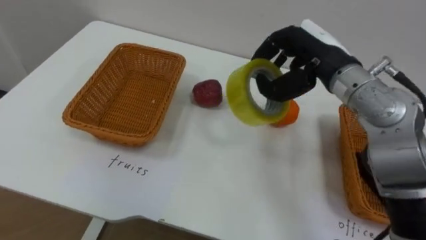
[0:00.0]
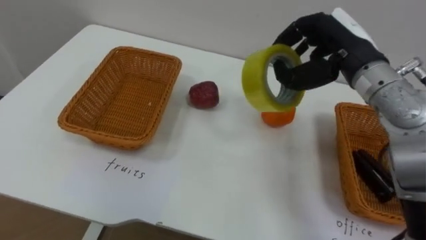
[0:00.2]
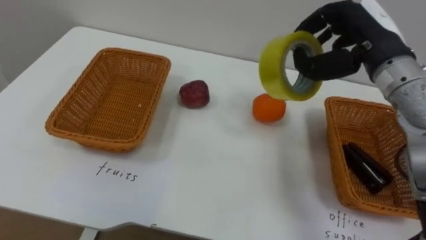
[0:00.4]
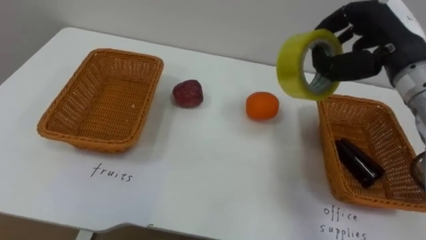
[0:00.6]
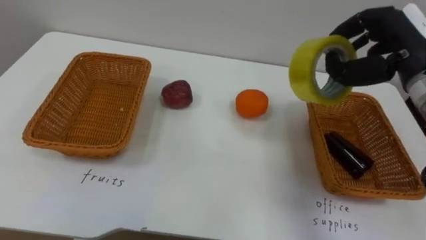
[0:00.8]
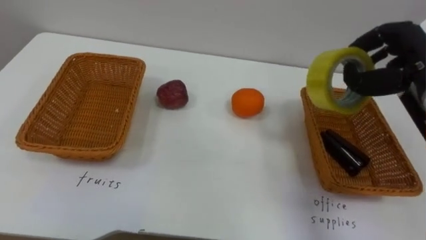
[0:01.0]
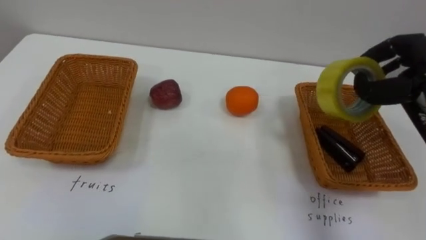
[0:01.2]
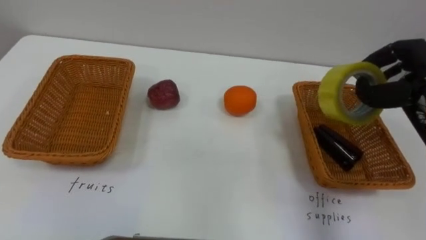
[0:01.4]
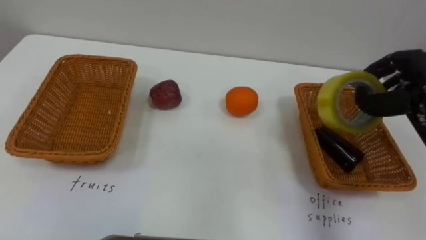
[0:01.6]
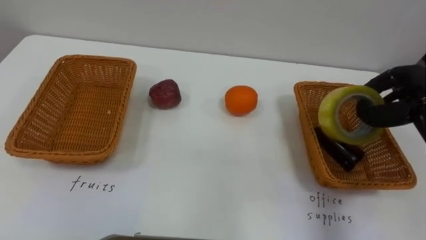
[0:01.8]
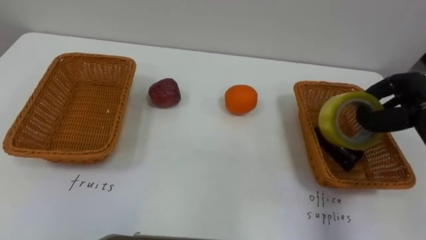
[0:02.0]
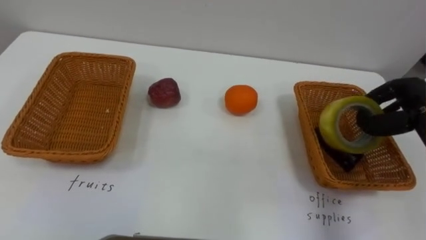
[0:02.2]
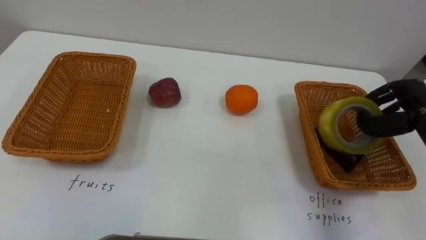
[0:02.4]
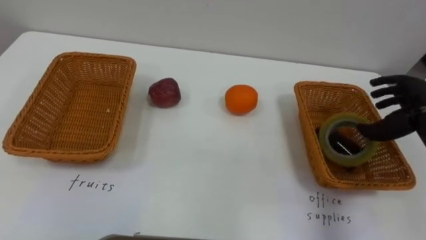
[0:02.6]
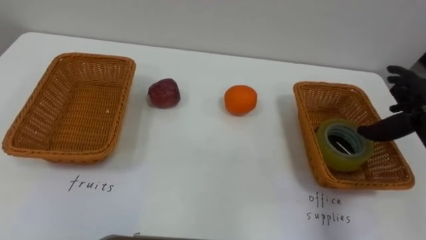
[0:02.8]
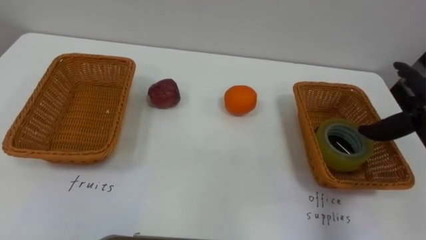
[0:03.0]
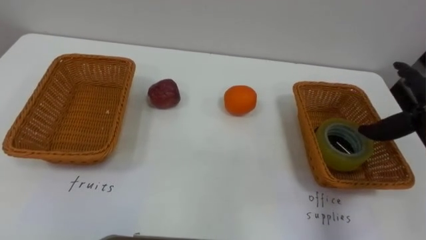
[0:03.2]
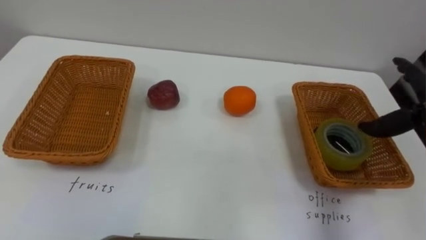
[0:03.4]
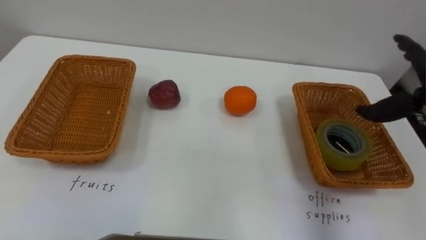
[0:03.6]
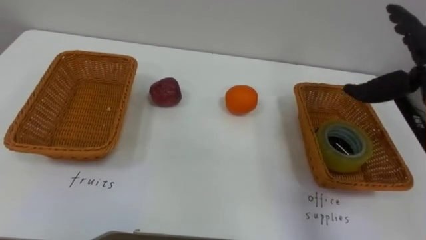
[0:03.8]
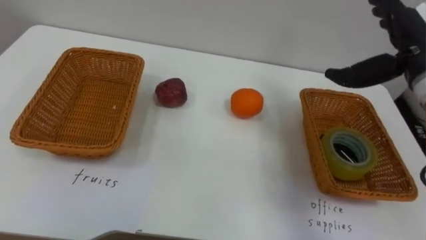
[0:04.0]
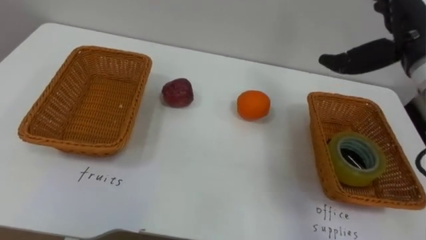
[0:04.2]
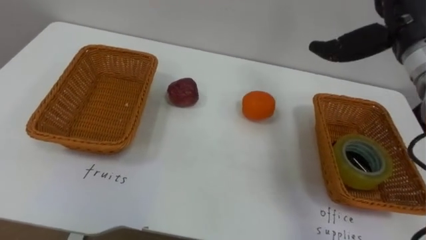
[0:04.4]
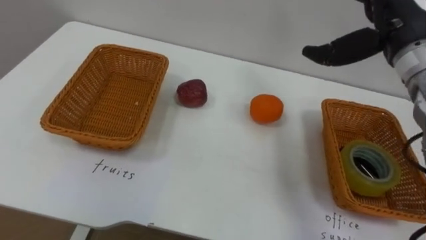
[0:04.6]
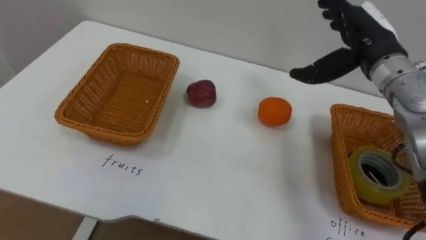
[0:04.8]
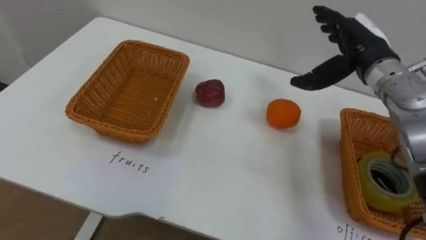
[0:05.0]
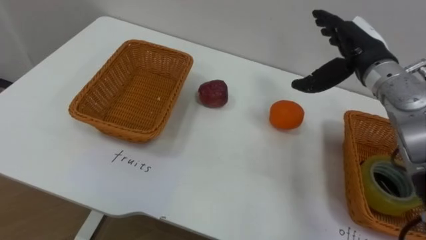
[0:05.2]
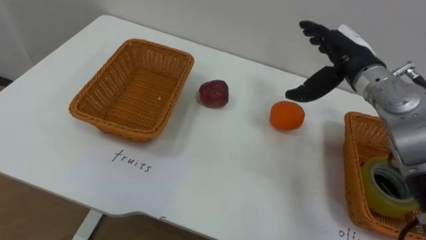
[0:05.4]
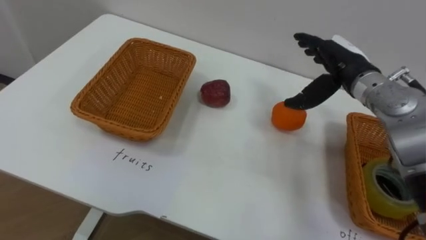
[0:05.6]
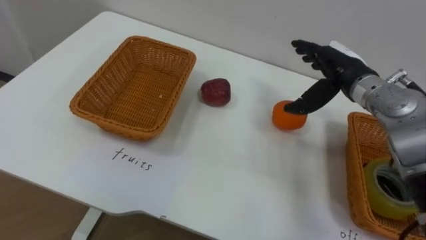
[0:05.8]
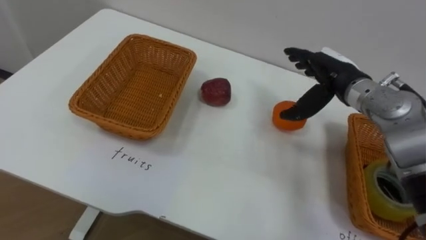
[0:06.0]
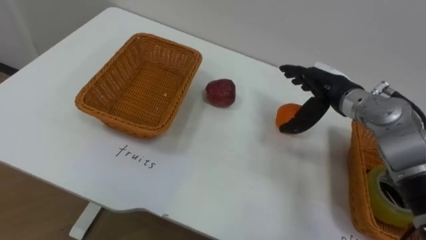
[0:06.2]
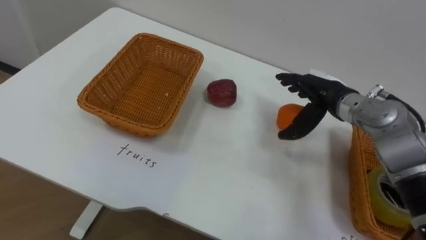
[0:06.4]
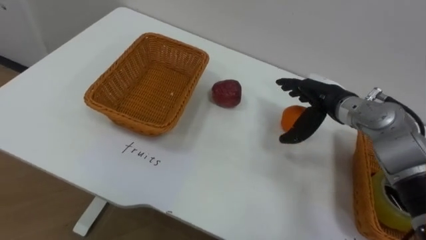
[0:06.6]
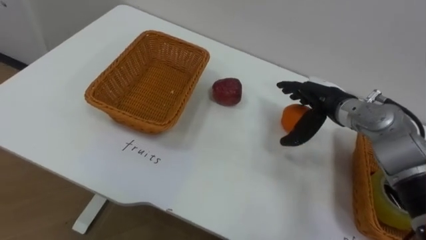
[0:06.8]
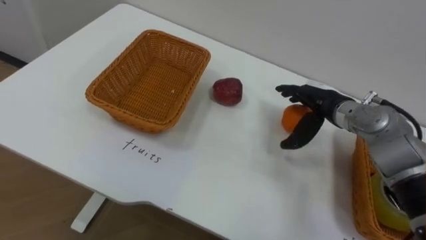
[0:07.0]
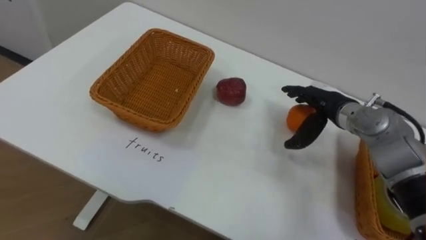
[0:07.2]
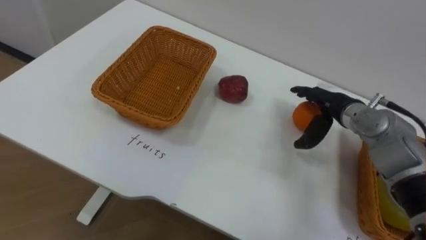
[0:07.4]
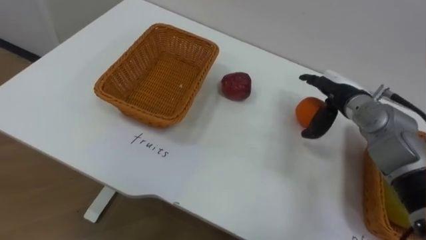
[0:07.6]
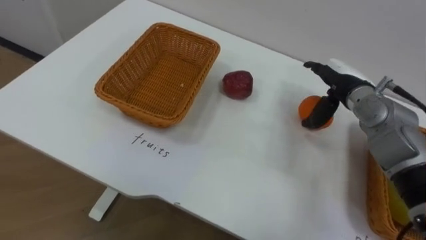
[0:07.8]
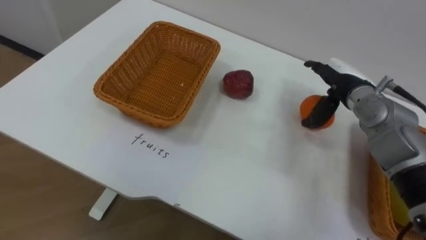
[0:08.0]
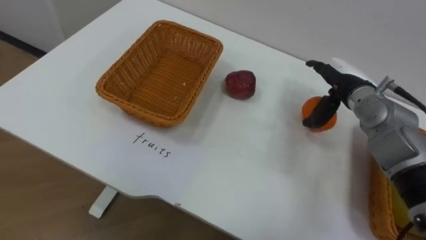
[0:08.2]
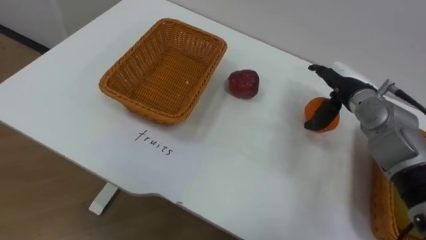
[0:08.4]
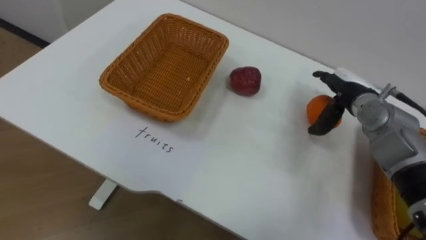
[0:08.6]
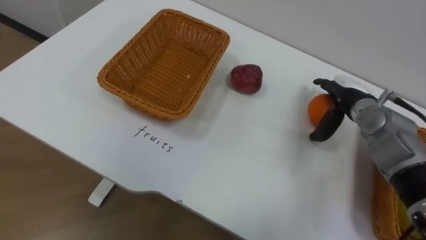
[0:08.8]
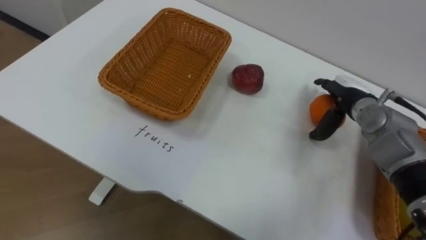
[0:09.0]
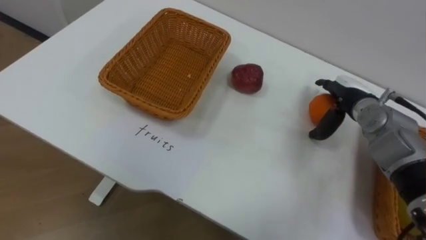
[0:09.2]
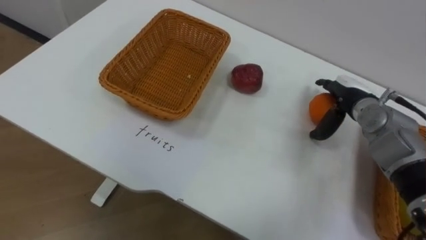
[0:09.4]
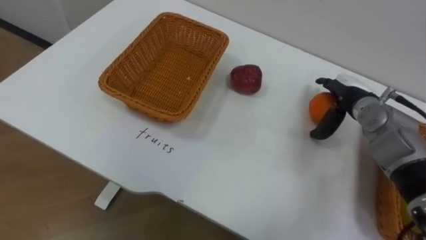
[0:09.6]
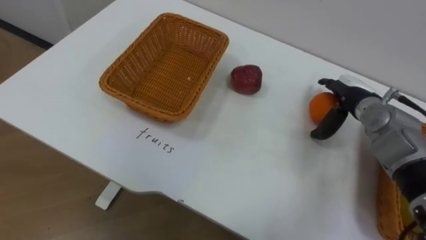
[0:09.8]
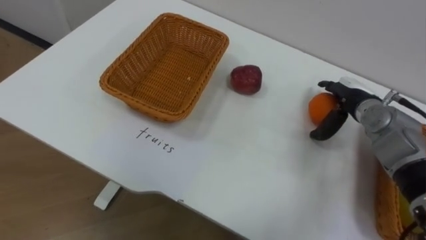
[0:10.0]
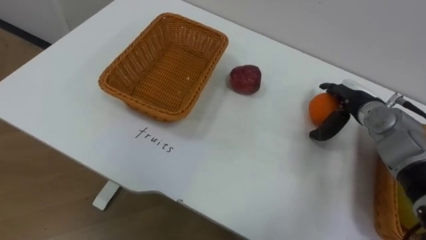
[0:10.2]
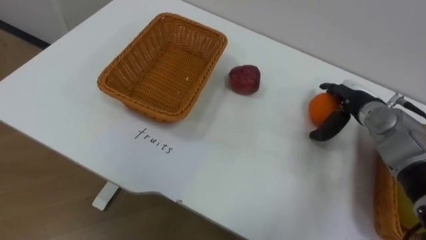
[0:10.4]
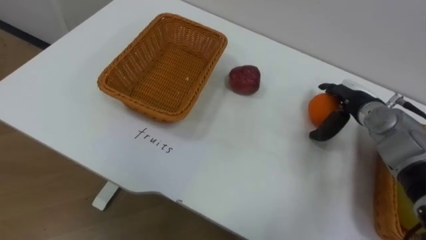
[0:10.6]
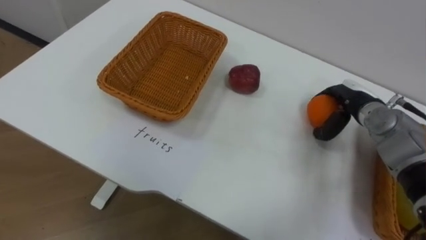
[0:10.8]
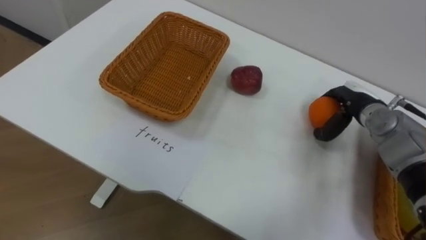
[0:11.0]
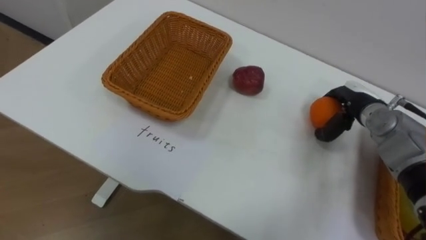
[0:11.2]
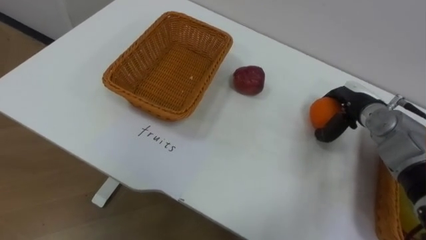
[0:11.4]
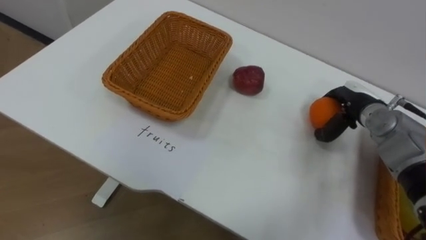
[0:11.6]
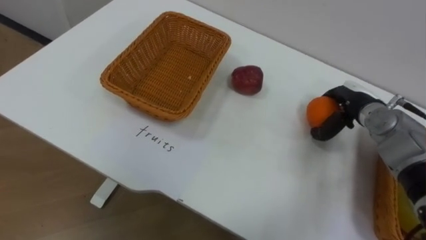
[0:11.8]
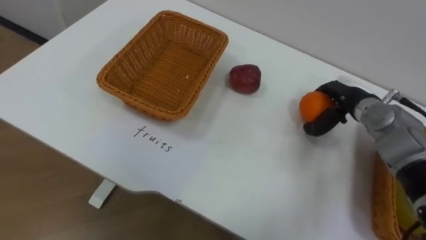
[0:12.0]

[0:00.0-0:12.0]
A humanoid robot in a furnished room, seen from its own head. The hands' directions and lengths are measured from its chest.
Task of the whole recording: Separate the items on the table and place them into the two baskets.
0:04.4 to 0:06.0: The right hand heads downward, covering some 10 cm.
0:06.0 to 0:07.6: The right hand heads downward, covering approximately 5 cm.
0:10.4 to 0:12.0: The right hand closes up.

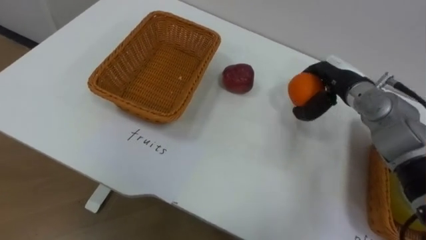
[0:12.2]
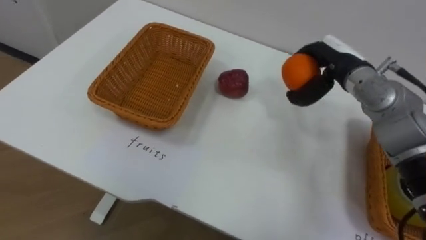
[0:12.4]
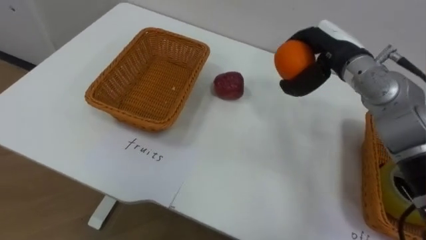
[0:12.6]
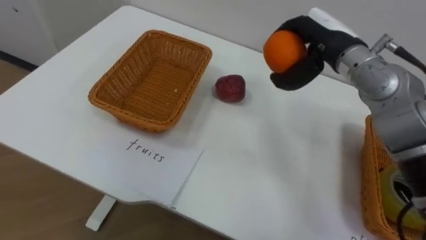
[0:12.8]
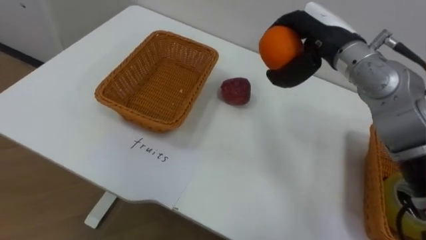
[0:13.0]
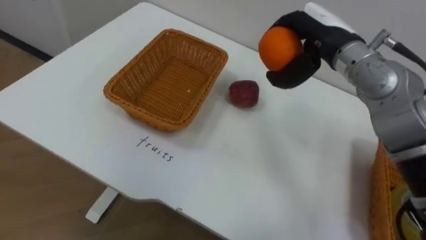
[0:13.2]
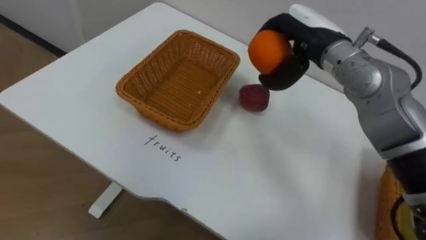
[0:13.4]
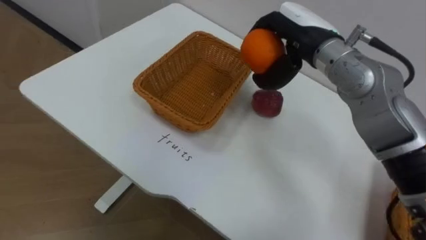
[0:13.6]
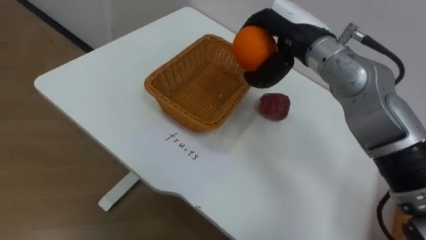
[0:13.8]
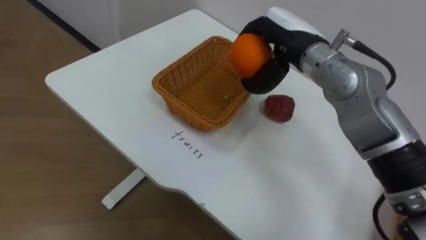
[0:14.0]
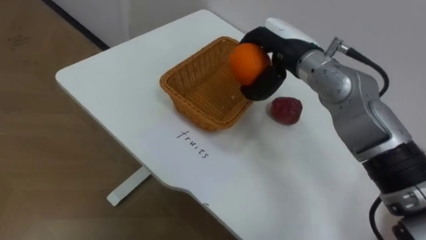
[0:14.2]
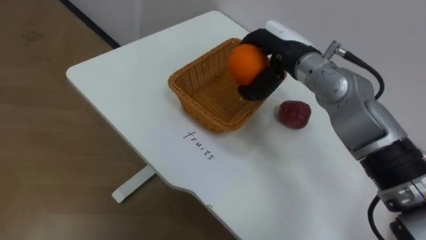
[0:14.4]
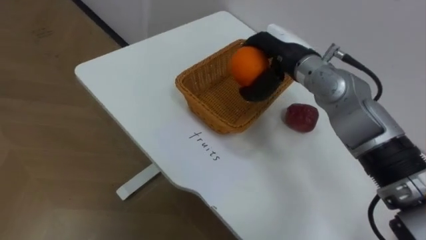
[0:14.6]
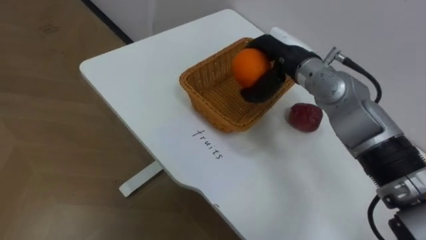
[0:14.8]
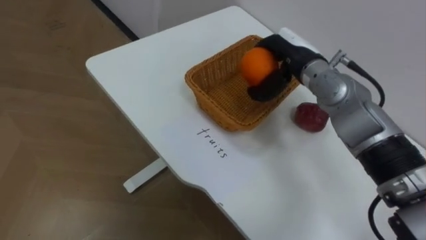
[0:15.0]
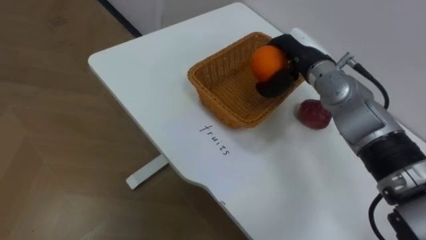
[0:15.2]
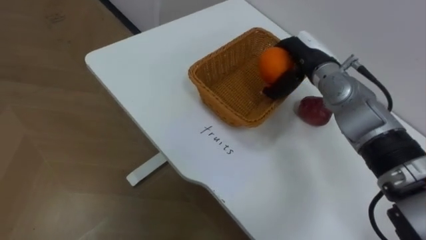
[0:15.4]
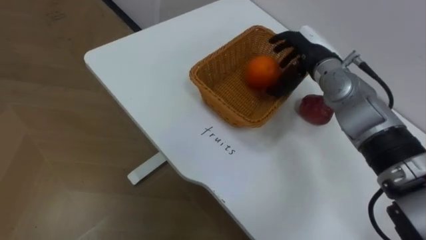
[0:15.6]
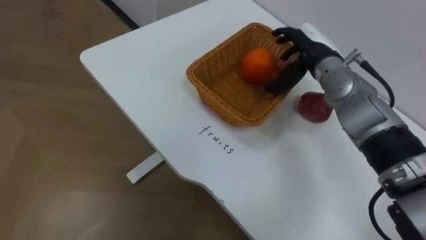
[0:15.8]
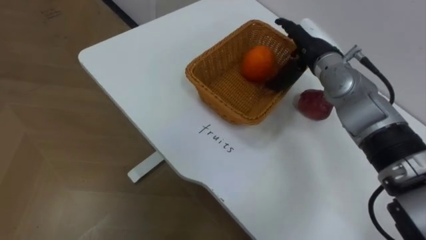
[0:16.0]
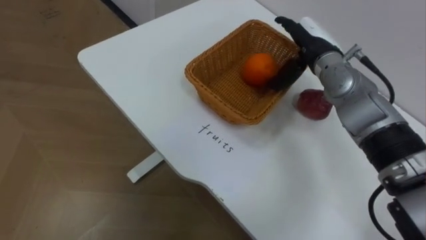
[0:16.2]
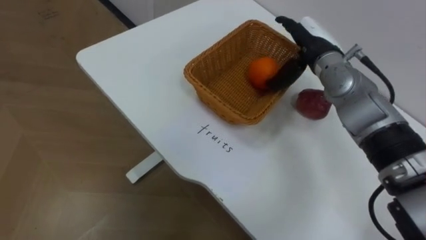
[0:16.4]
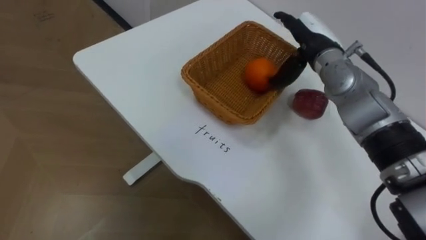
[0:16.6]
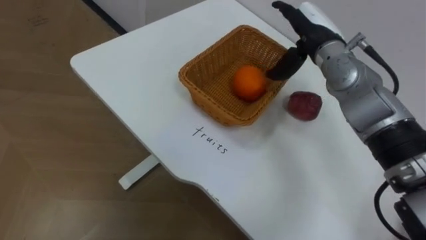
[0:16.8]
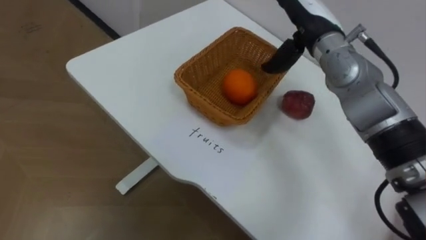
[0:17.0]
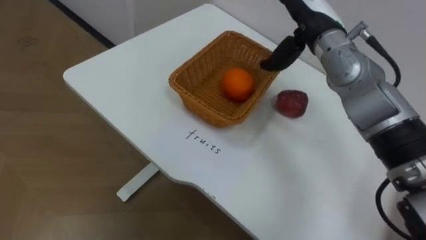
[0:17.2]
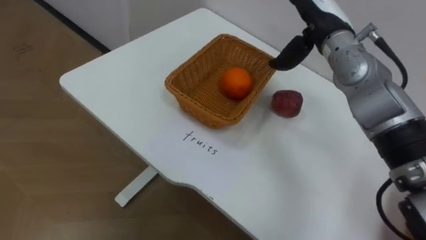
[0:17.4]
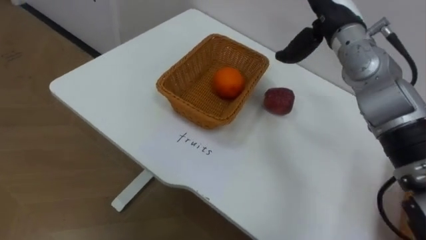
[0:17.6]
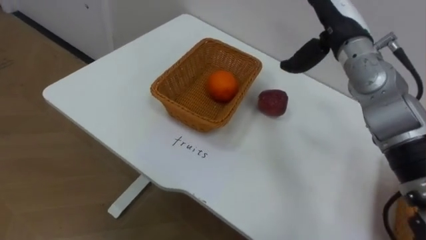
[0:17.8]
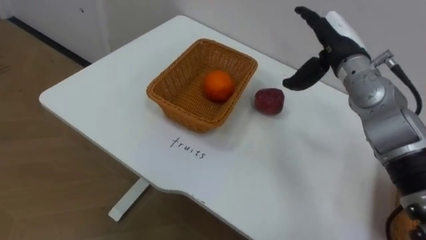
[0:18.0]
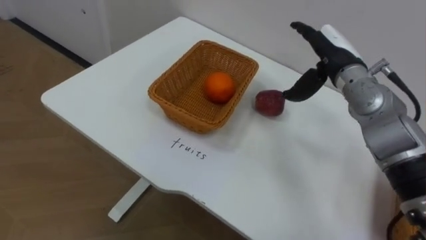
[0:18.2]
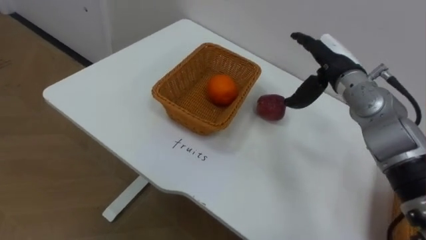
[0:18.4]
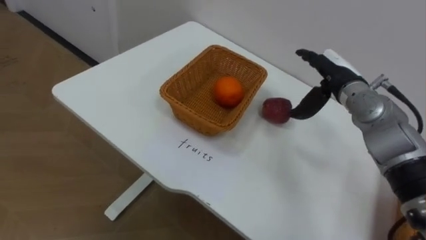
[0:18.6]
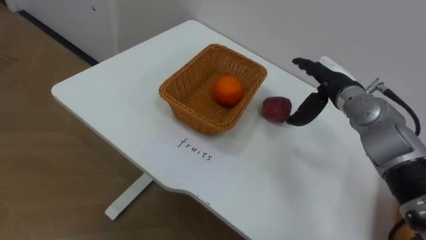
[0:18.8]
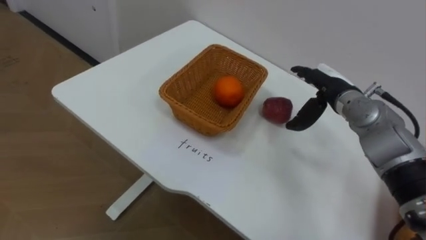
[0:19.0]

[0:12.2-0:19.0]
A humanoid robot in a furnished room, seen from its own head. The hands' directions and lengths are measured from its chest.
Task of the whole recording: Separate the items on the table and place them into the two baskets.
0:12.2 to 0:13.6: The right hand heads upward and to the left, covering roughly 15 cm.
0:13.6 to 0:15.0: The right hand travels downward by about 5 cm.
0:15.0 to 0:16.2: The right hand opens its fingers.
0:16.2 to 0:17.6: The right hand shifts roughly 5 cm upward.
0:17.6 to 0:19.0: The right hand shifts about 15 cm downward.
